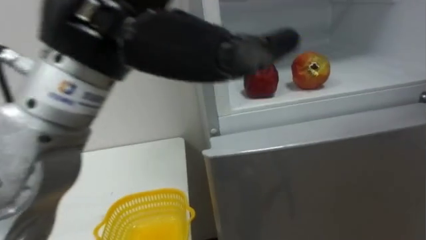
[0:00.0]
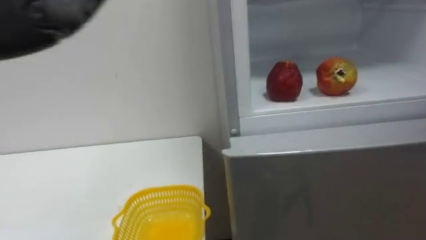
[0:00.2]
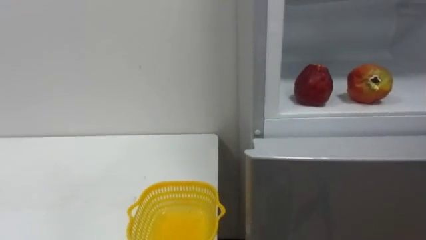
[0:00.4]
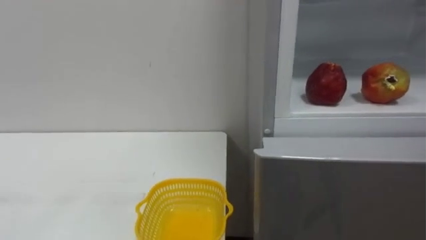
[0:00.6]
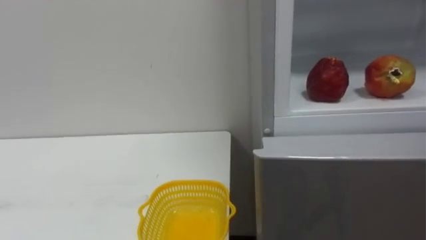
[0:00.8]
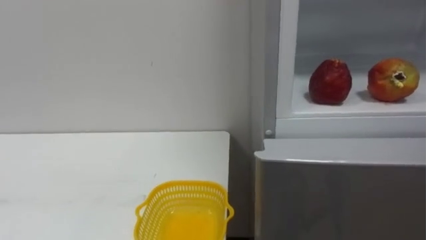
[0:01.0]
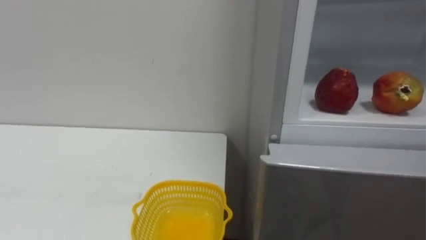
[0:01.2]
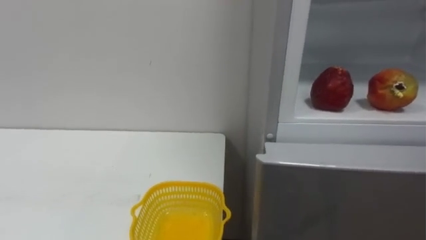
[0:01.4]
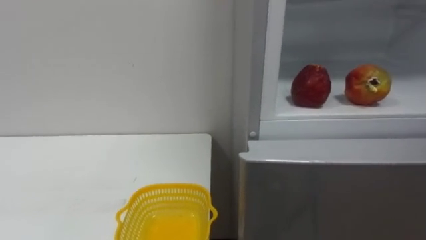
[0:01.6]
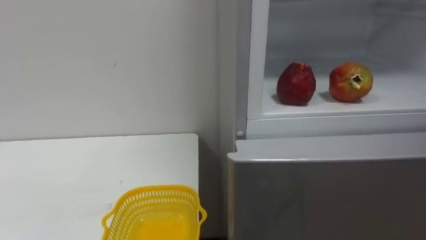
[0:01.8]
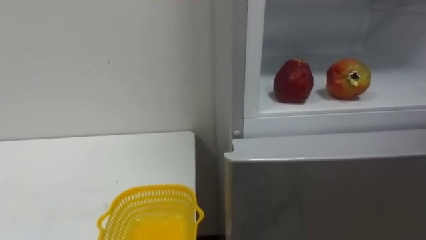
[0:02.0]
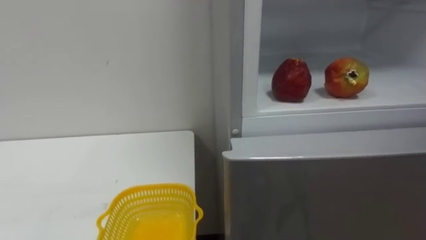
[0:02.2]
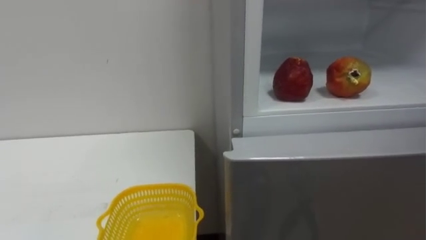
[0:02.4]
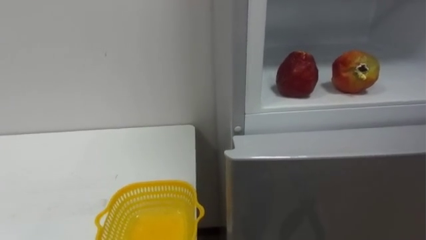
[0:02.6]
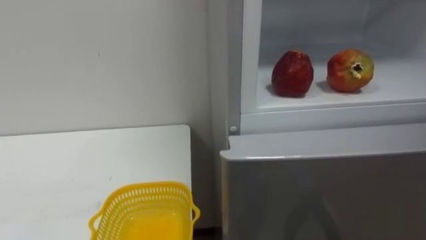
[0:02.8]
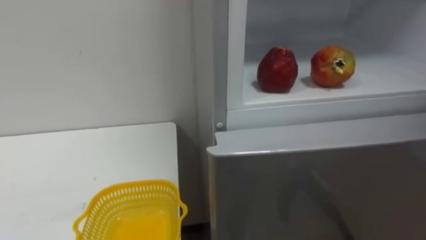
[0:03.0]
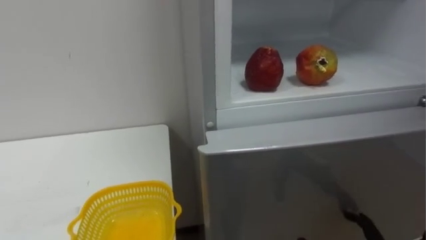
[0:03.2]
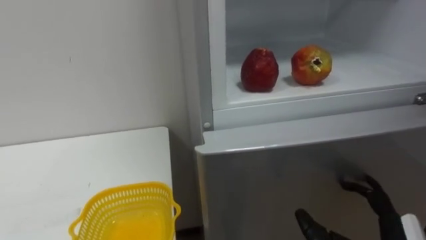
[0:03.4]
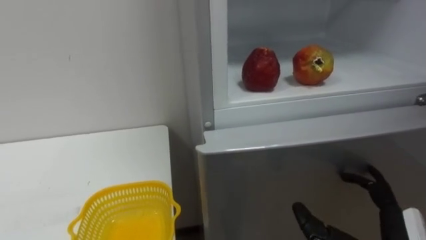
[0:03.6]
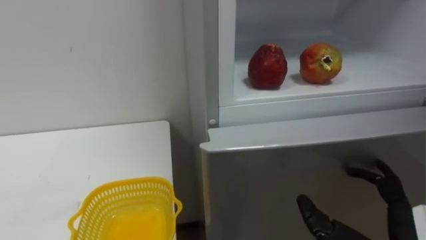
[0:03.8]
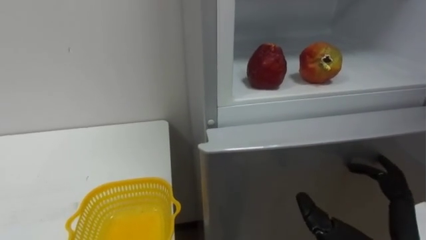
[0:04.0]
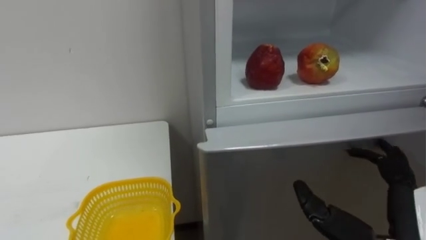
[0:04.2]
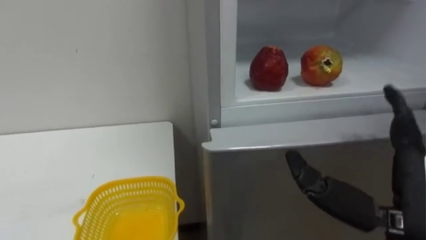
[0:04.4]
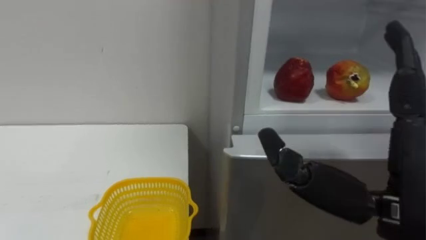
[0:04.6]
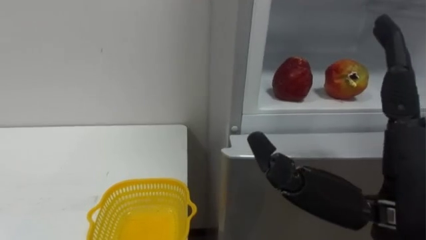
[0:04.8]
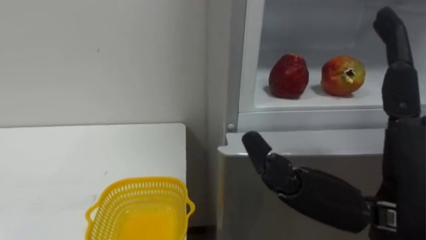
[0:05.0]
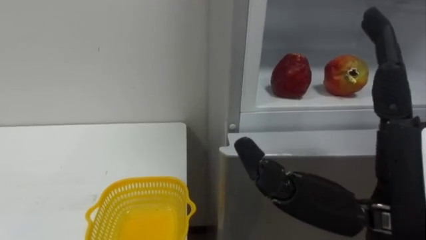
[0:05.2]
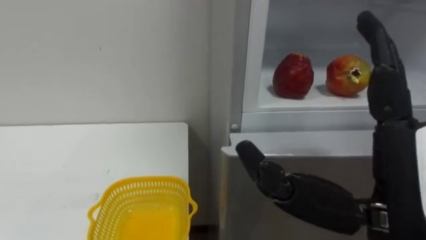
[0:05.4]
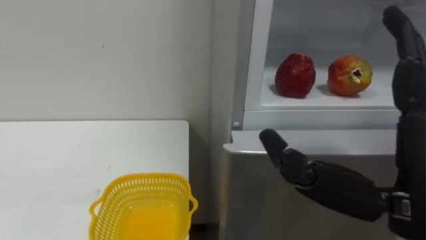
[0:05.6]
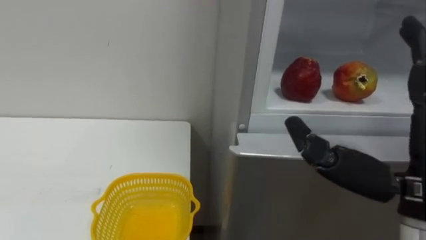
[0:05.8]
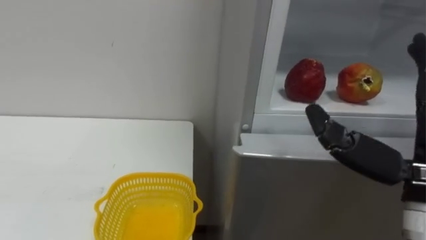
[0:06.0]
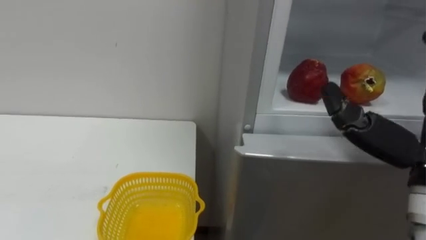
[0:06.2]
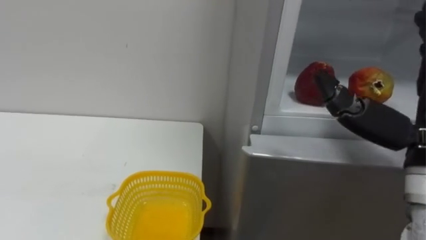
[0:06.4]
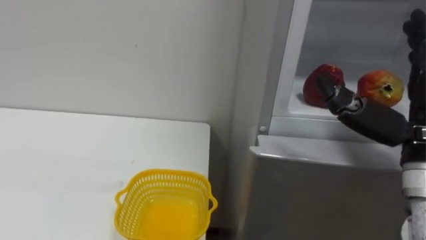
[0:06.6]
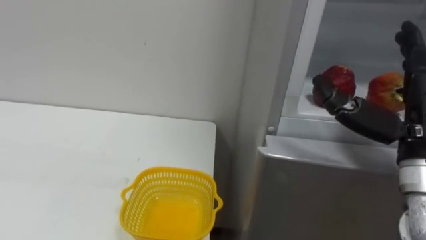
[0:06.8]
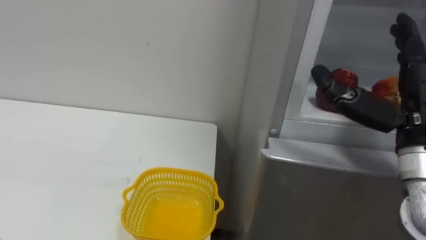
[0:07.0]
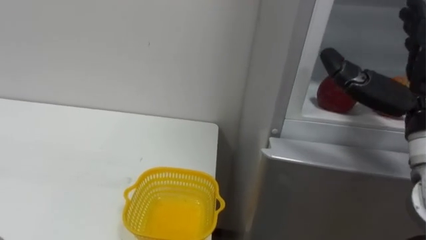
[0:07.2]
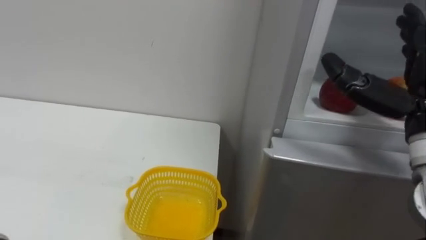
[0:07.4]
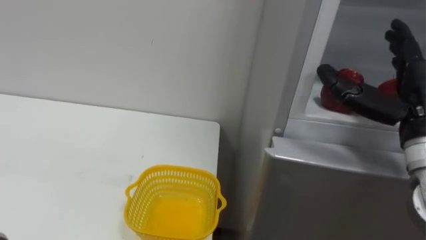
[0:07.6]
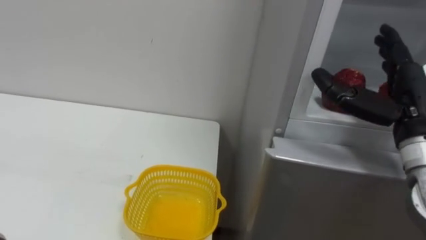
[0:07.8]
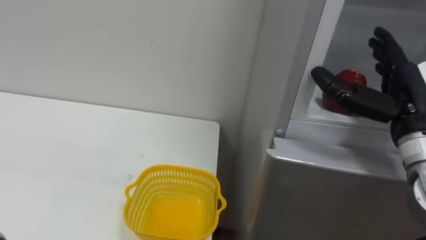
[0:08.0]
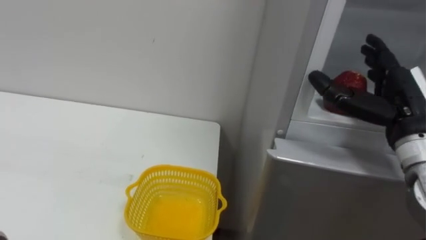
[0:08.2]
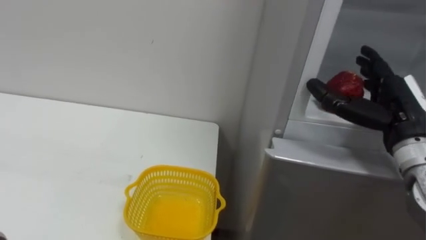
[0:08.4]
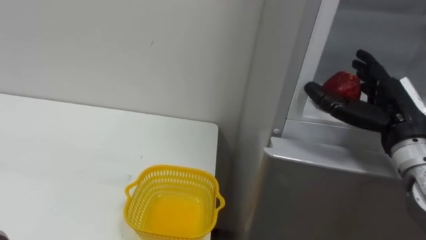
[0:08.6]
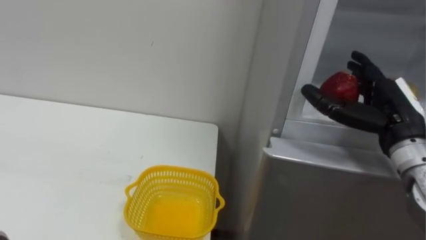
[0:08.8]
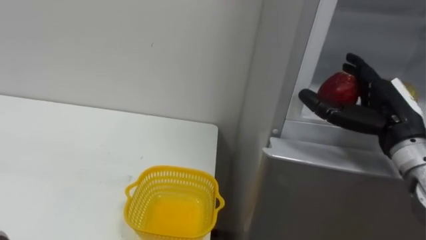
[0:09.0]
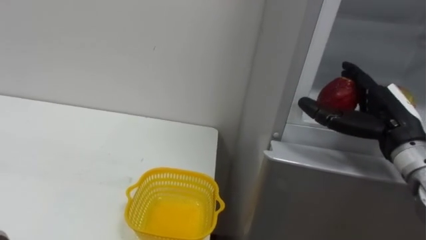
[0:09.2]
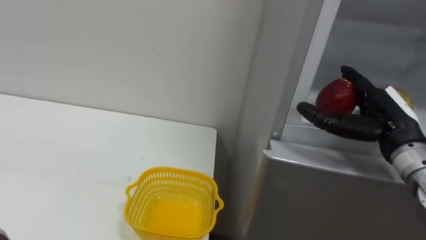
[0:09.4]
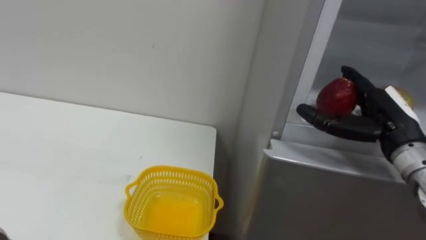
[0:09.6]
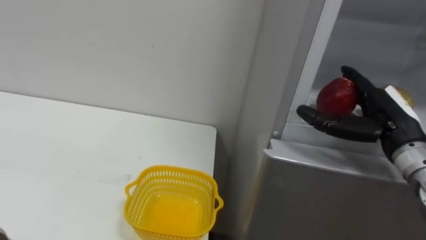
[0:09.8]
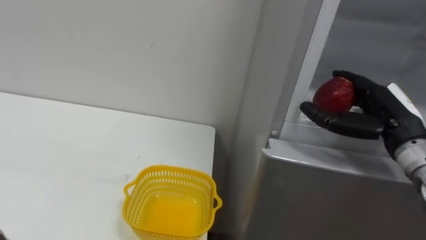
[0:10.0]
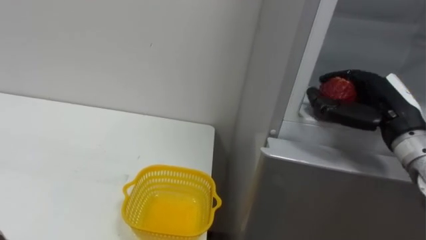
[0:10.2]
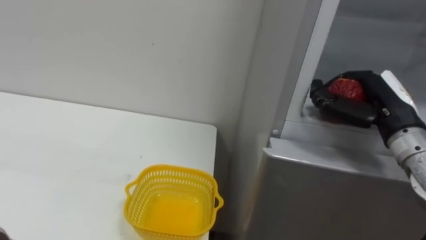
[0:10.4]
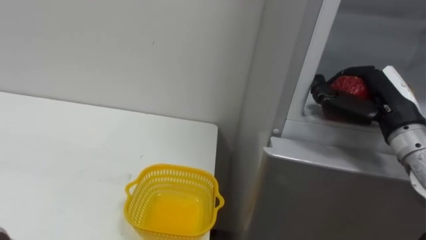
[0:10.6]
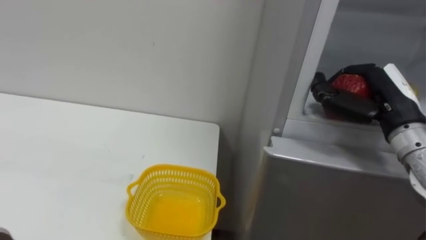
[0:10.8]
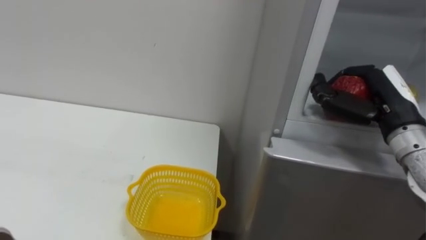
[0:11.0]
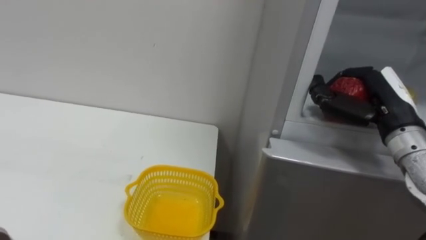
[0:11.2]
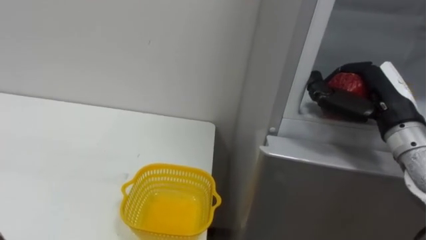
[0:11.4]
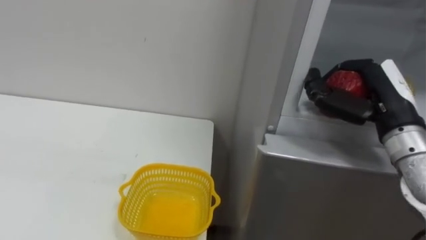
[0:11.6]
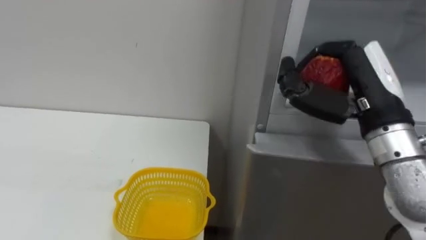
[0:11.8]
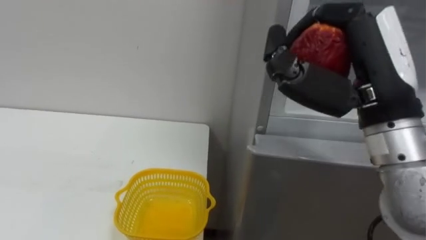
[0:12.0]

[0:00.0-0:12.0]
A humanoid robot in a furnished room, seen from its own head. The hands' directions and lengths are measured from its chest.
Task of the whole recording: Open the refrigerator door, take out the apple and the pomegranate, place them in the fruit basket on the left, and close the refrigerator door.
0:04.4 to 0:06.0: The right hand travels upward by approximately 5 cm.
0:09.0 to 0:10.4: The right hand closes.
0:10.4 to 0:12.0: The right hand travels upward, backward and to the left by approximately 15 cm.

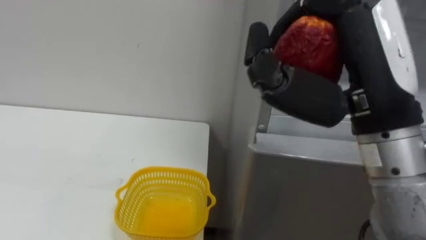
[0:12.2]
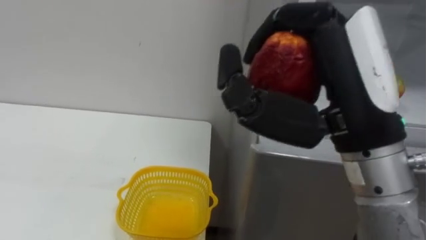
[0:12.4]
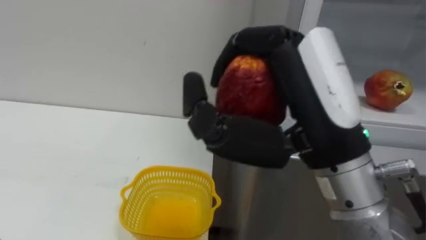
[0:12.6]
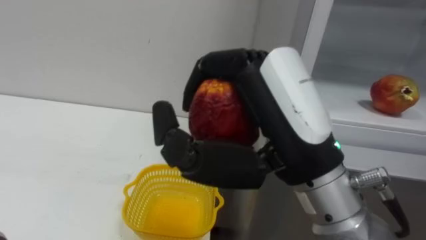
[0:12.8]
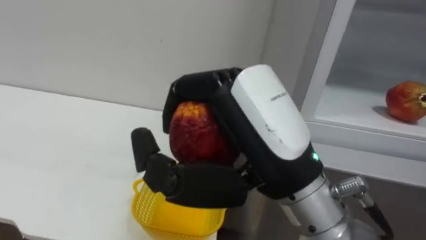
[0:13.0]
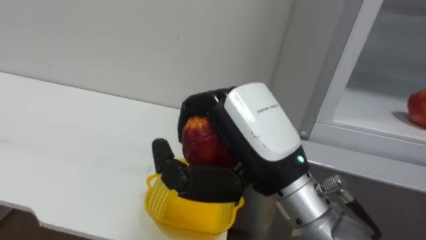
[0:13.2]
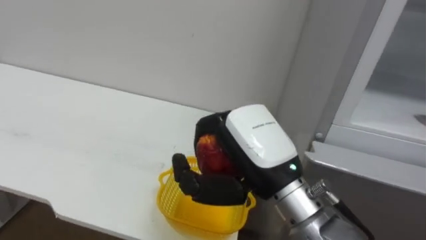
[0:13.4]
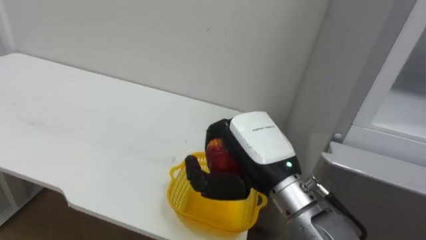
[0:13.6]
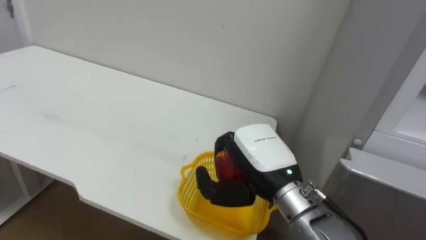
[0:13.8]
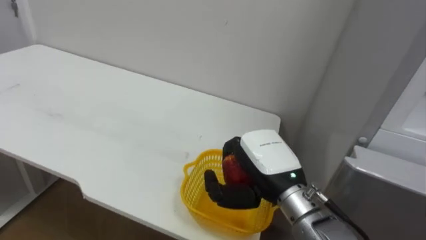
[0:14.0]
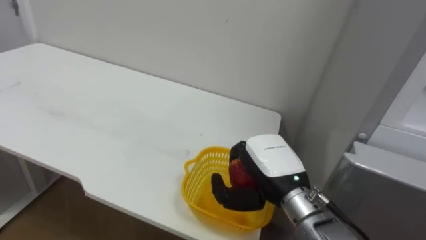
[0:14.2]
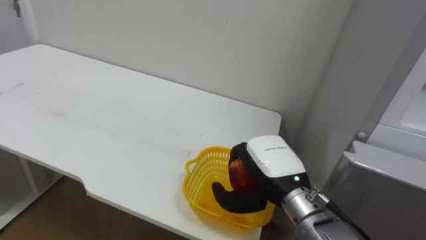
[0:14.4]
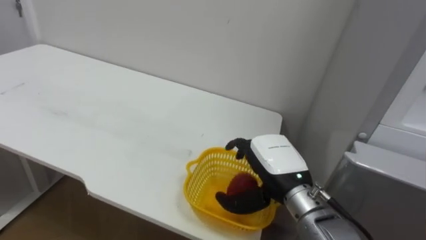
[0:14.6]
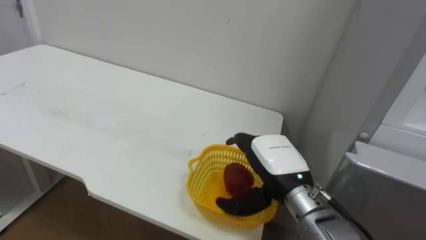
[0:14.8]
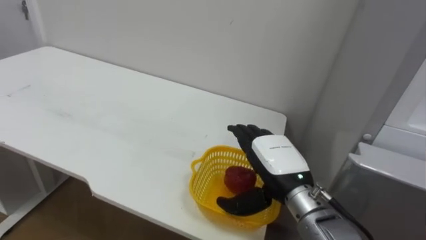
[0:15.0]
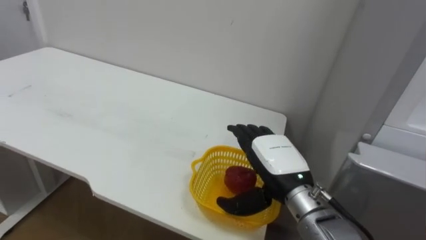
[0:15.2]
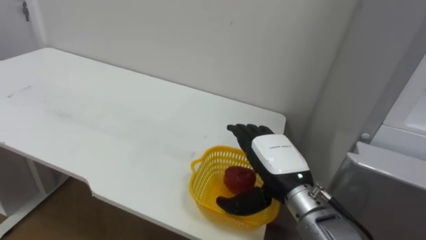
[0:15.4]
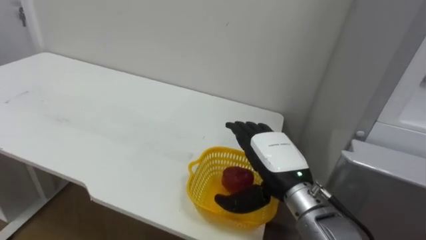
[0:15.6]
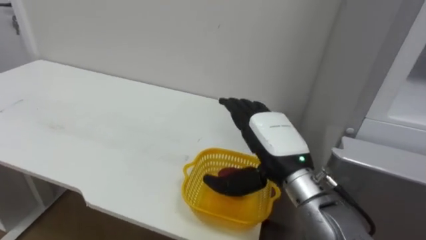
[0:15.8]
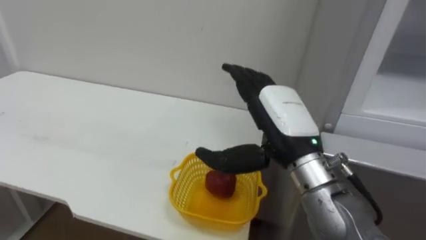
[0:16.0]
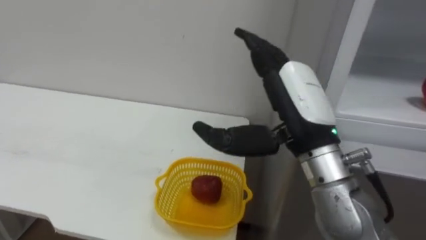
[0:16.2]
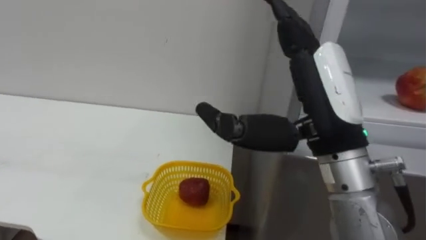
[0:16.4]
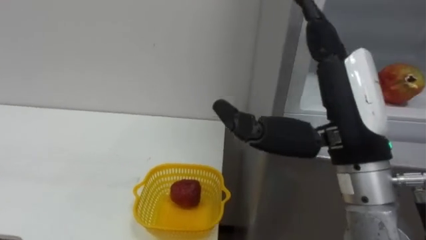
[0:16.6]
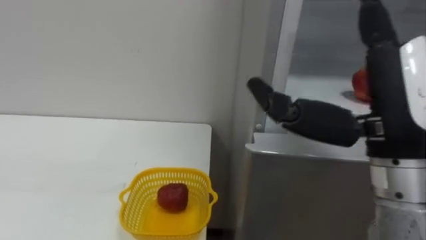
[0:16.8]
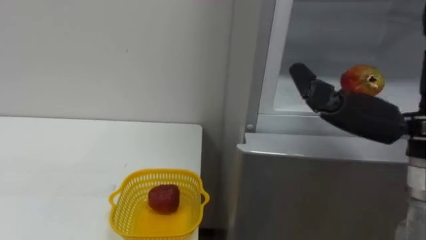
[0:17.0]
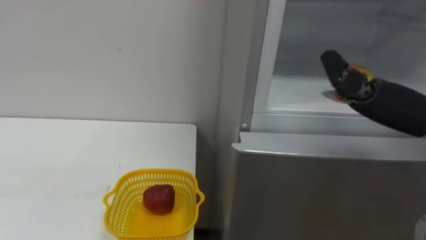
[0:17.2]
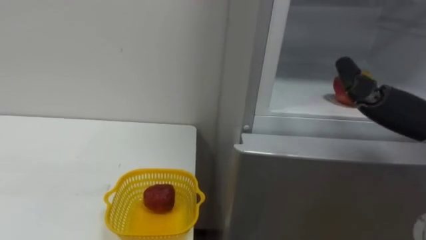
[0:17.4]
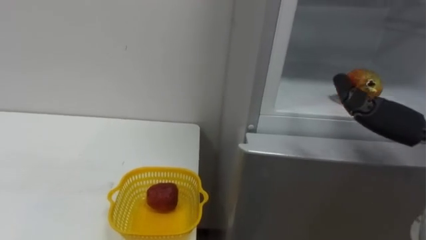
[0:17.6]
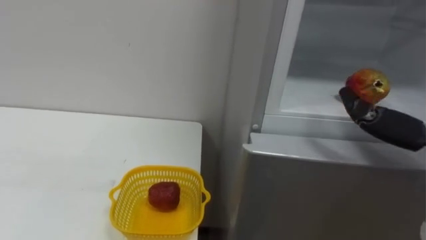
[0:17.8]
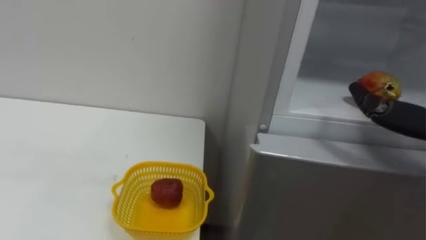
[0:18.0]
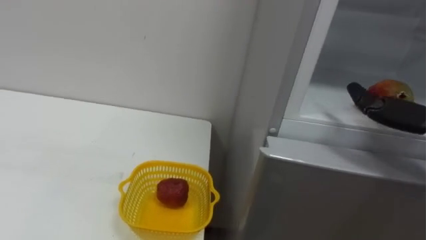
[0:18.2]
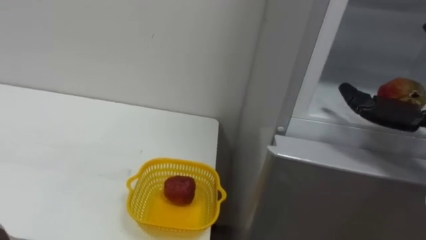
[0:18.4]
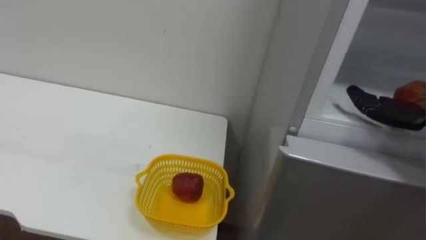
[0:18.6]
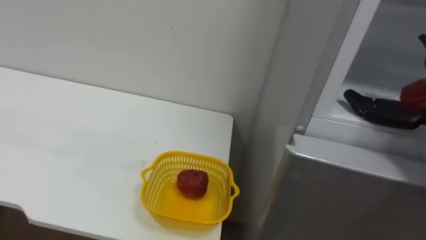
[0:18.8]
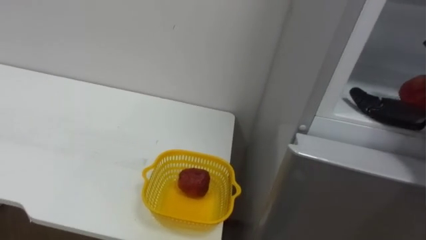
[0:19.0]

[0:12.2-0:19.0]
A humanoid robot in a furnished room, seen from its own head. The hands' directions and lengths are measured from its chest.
Task of the whole recording: Open the refrigerator door, take out the apple and the pomegranate, place them in the fruit basket on the left, and close the refrigerator door.
0:12.2 to 0:13.6: The right hand is displaced downward and to the left by roughly 15 cm.
0:13.6 to 0:15.0: The right hand moves downward, roughly 10 cm, and opens up.
0:15.0 to 0:16.2: The right hand moves upward, approximately 10 cm.
